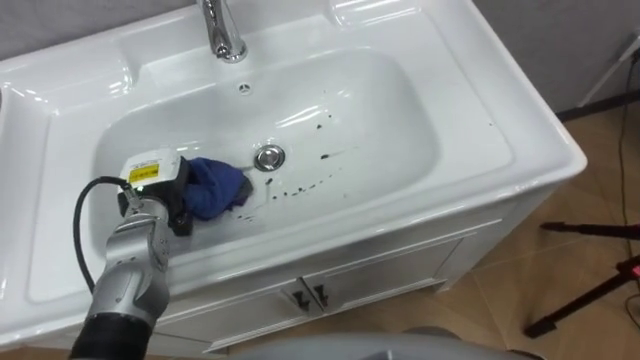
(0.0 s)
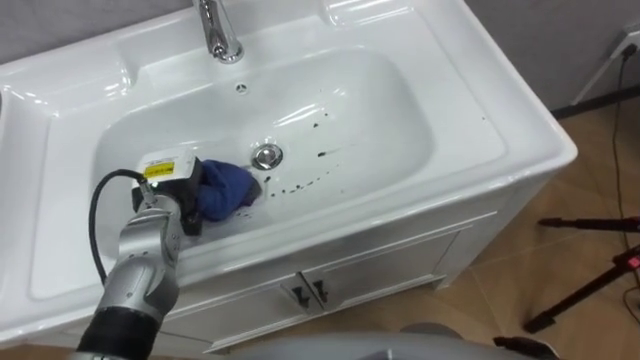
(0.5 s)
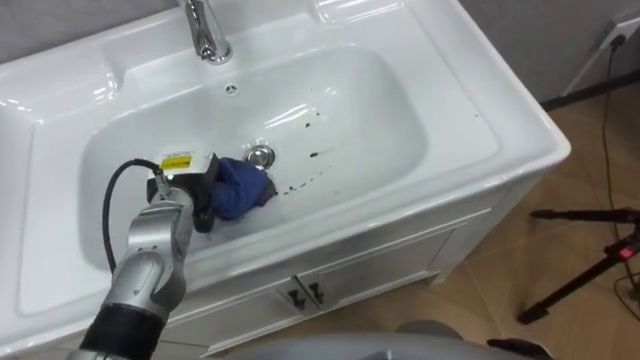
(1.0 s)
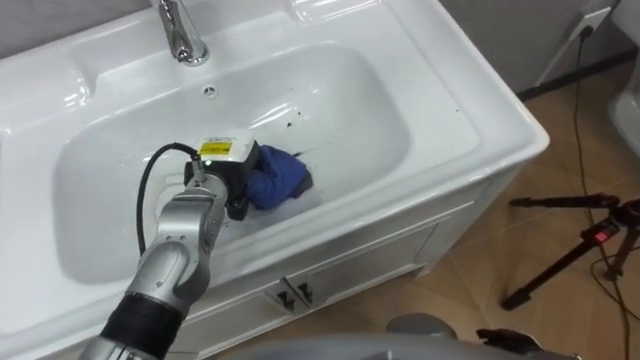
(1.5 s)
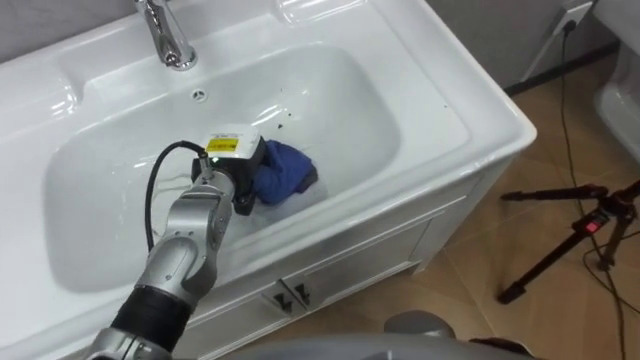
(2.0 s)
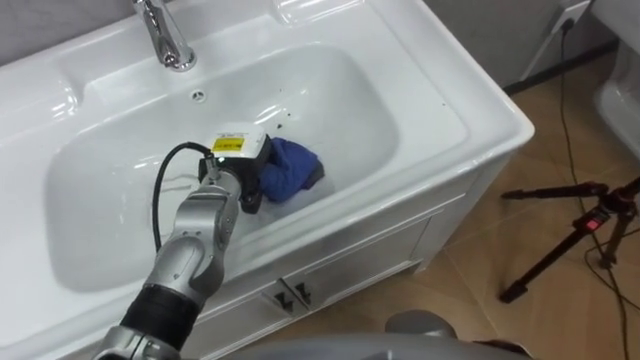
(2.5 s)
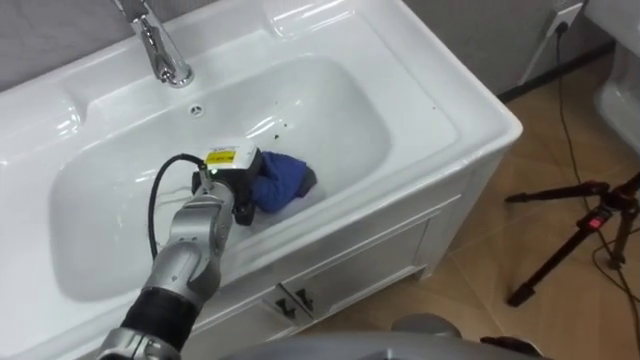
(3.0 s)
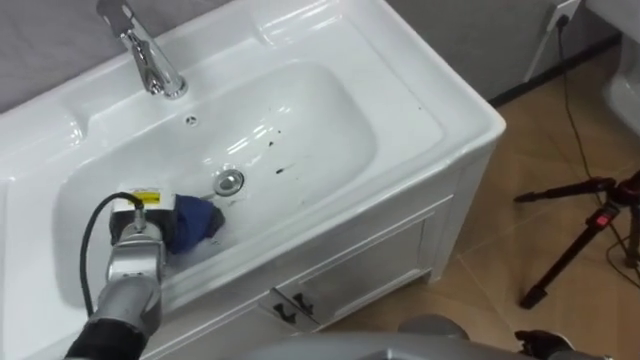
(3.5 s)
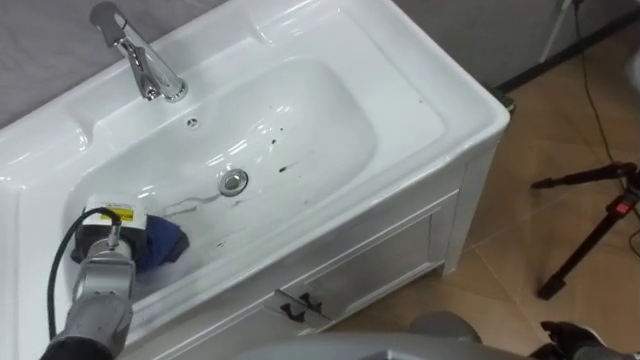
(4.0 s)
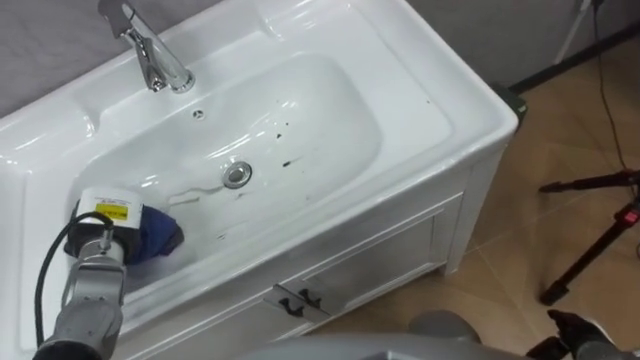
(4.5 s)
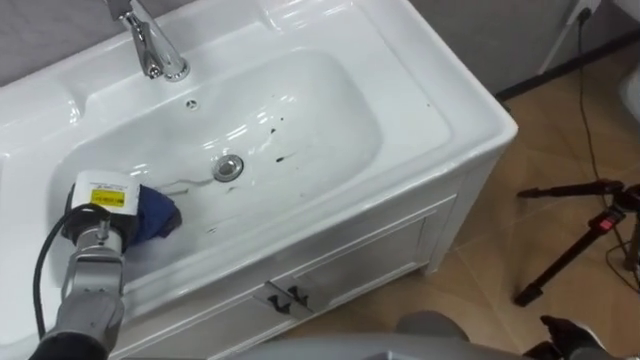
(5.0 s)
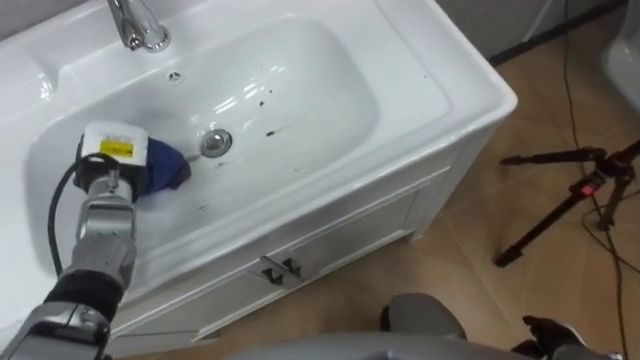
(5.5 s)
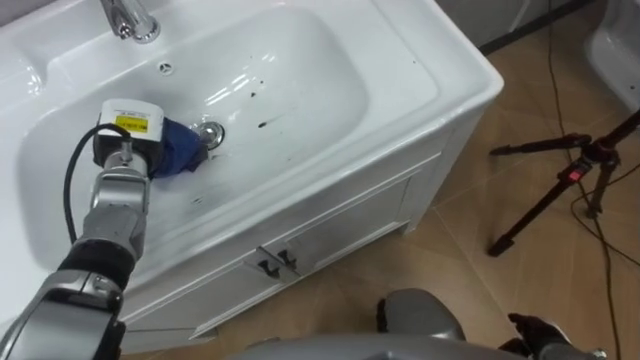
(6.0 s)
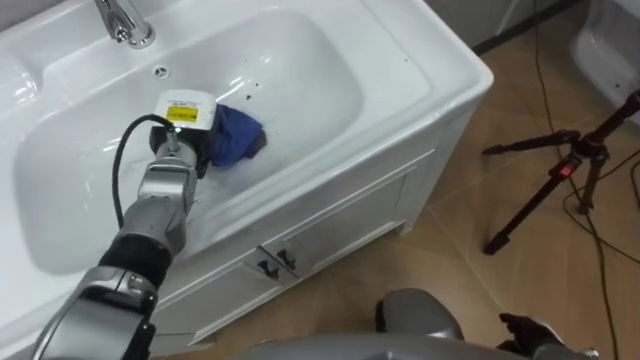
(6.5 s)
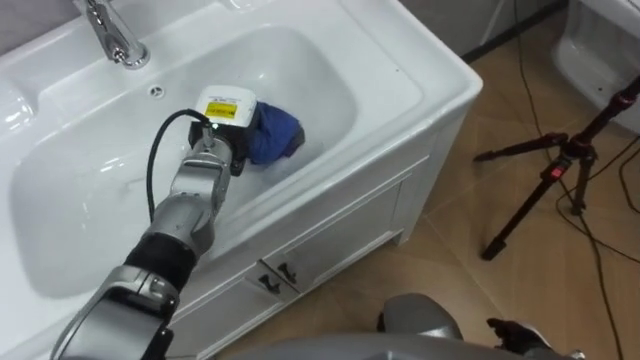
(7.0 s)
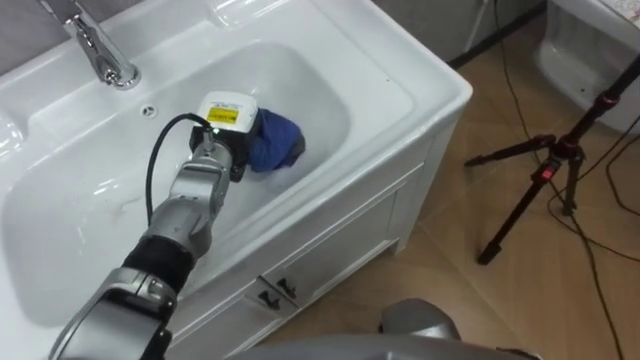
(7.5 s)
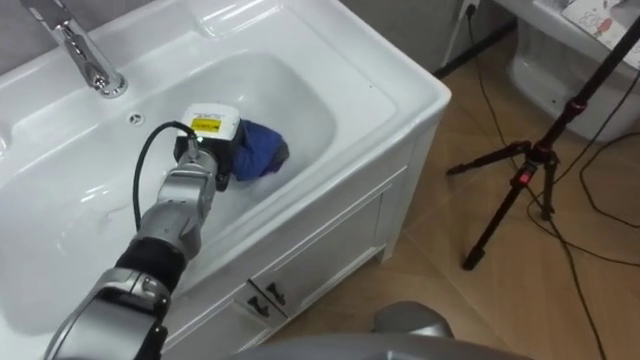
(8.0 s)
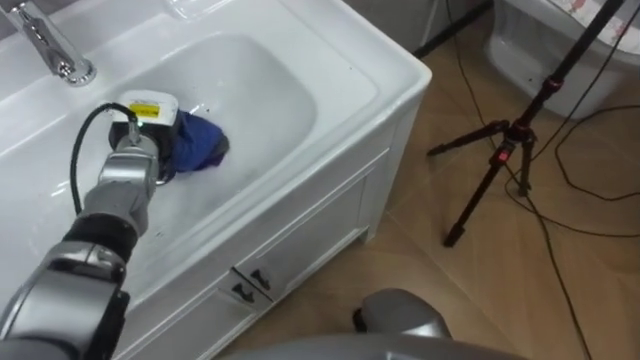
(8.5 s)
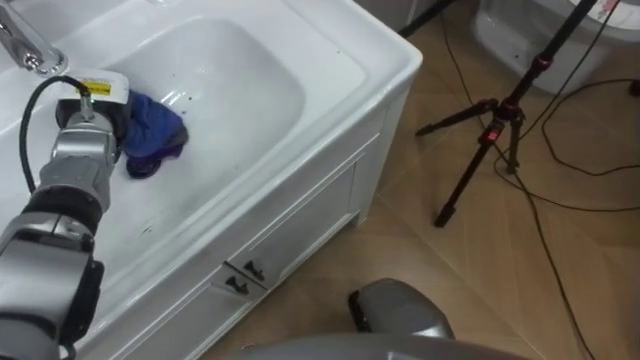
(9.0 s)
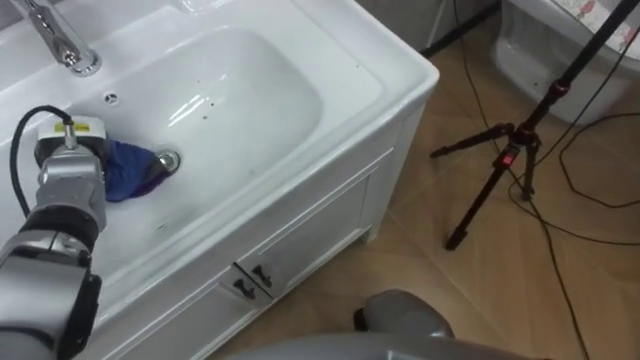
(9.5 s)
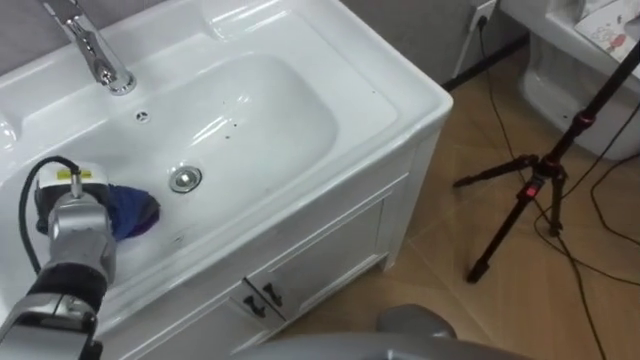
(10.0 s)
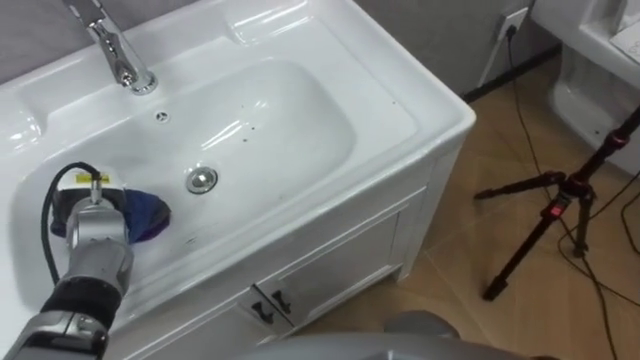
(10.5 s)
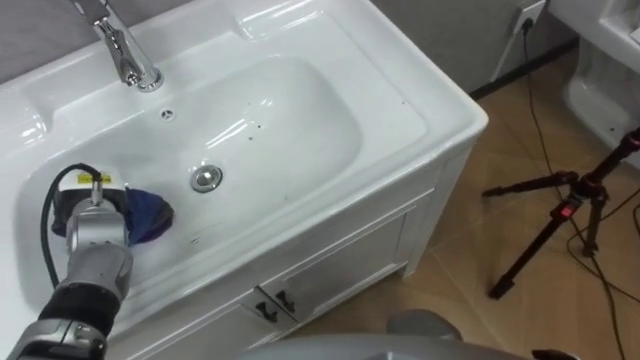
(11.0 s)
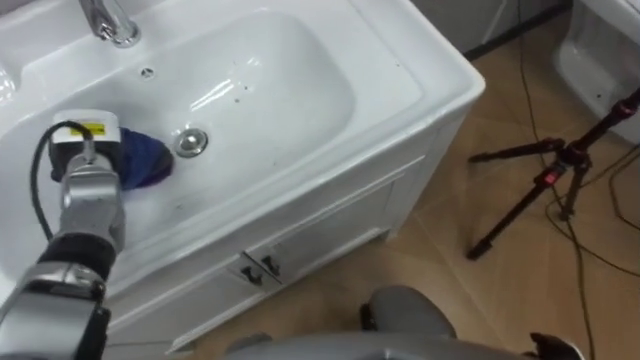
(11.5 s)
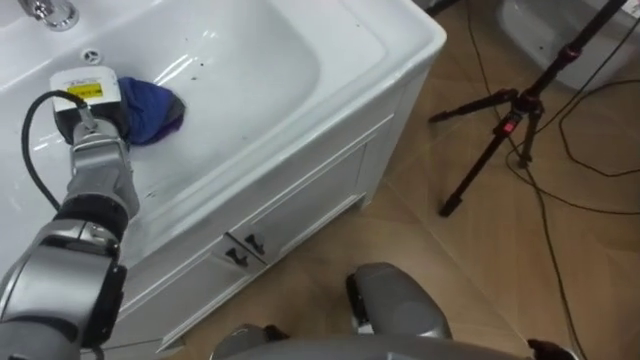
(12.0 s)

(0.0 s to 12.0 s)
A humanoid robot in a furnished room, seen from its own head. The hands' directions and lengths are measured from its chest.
Task of the whole recording: Use the cloth on the right to wipe away the black stain in the sink.
0.0 s - 2.0 s: The left hand shifts some 10 cm to the right.
2.0 s - 4.0 s: The left hand goes some 20 cm to the left and backward.
4.0 s - 6.0 s: The left hand heads forward and upward, covering some 15 cm.
6.0 s - 8.0 s: The left hand shifts roughly 10 cm to the right.
8.0 s - 10.0 s: The left hand travels to the left and backward by approximately 20 cm.
10.0 s - 12.0 s: The left hand travels forward and upward by approximately 10 cm.

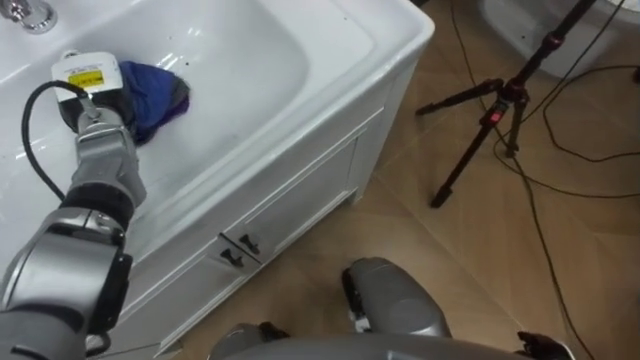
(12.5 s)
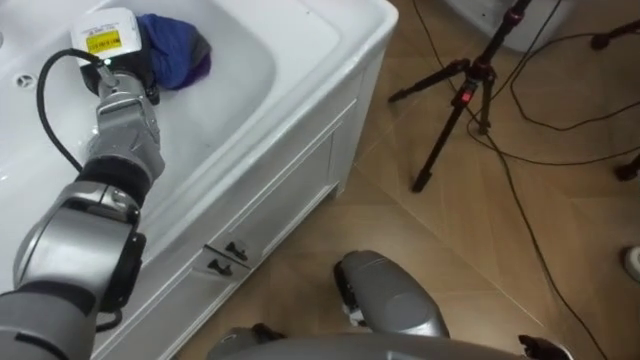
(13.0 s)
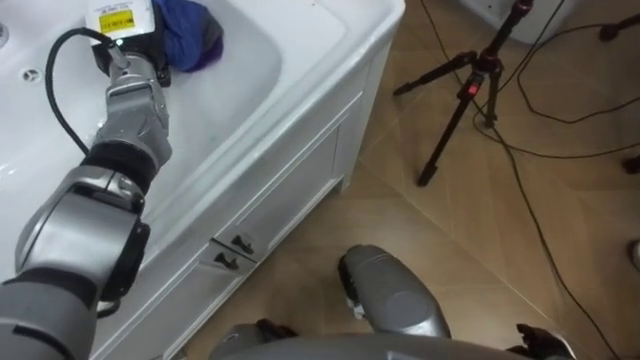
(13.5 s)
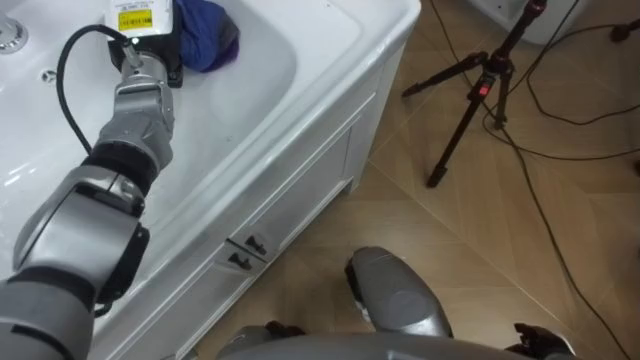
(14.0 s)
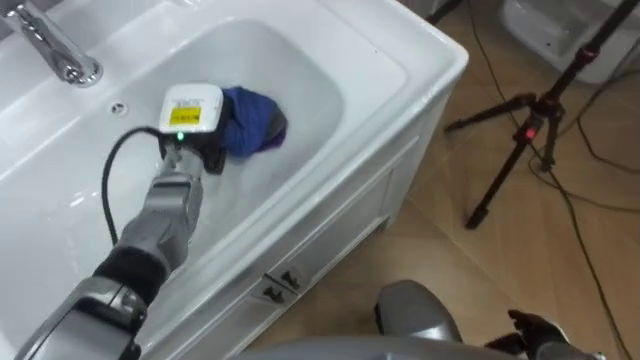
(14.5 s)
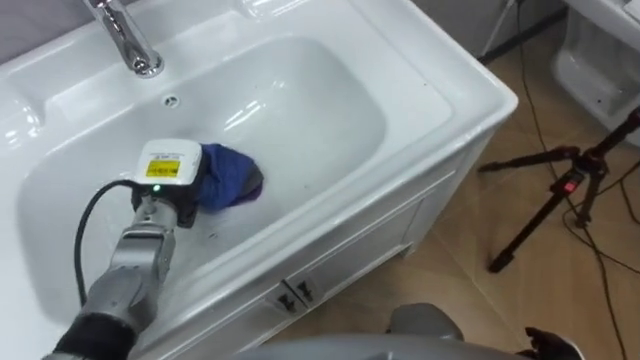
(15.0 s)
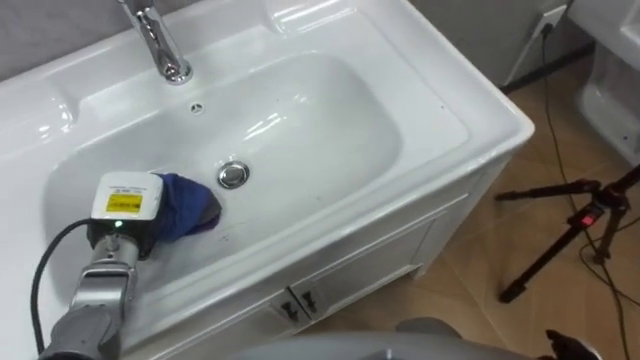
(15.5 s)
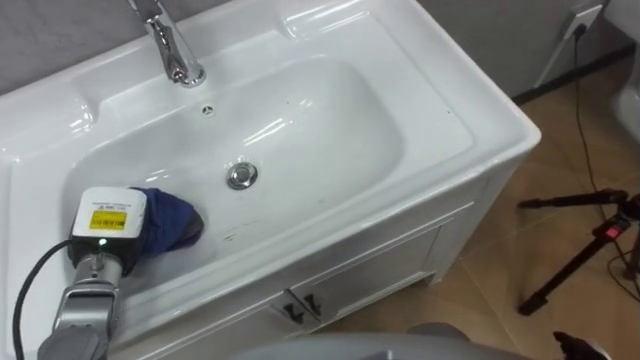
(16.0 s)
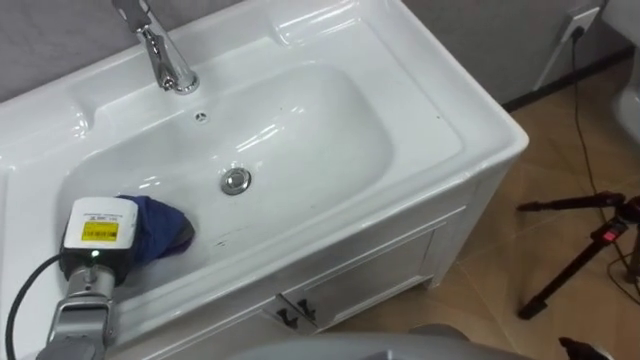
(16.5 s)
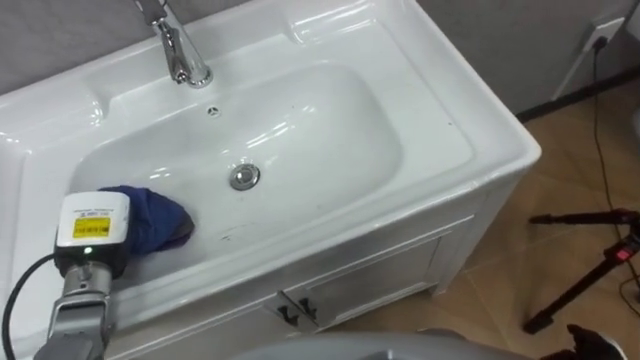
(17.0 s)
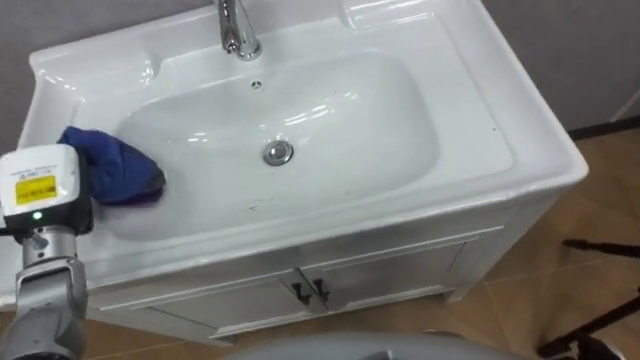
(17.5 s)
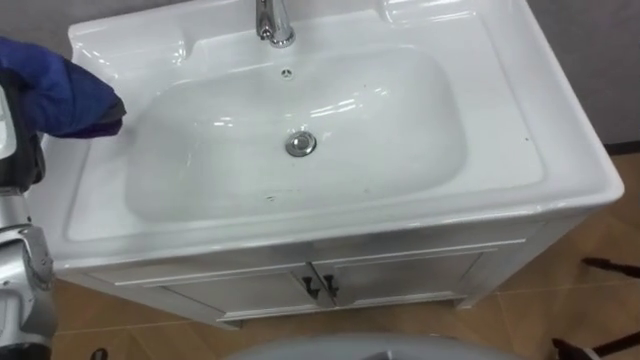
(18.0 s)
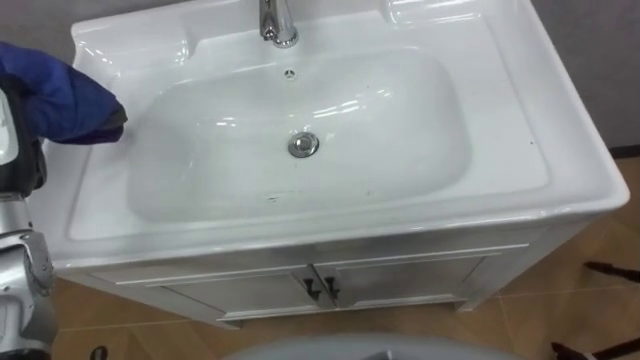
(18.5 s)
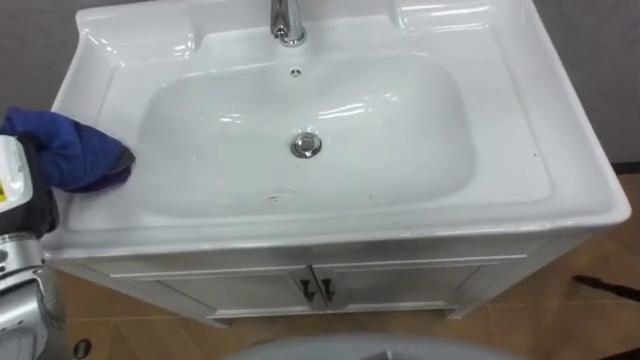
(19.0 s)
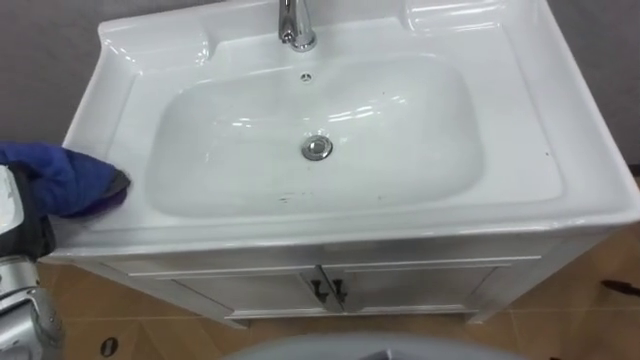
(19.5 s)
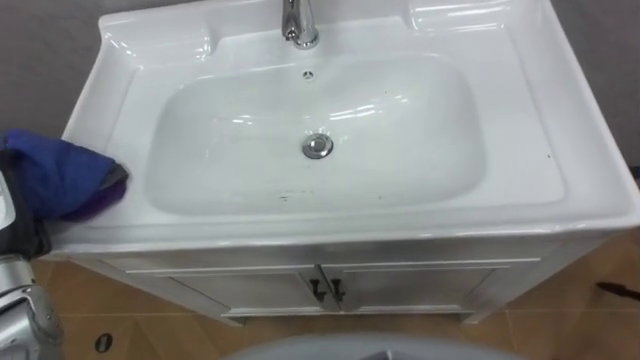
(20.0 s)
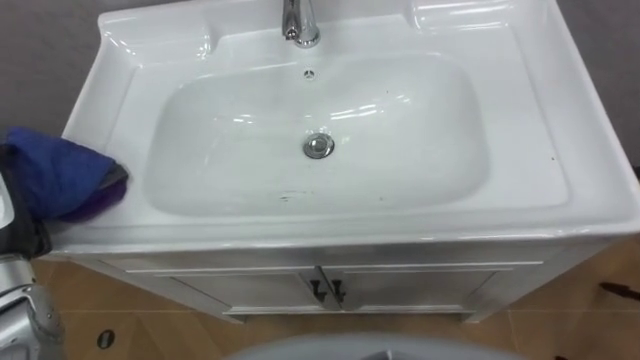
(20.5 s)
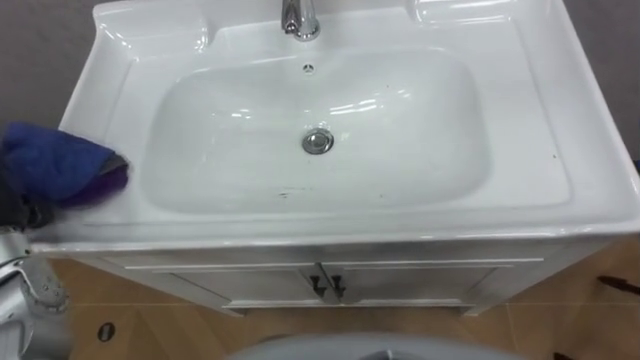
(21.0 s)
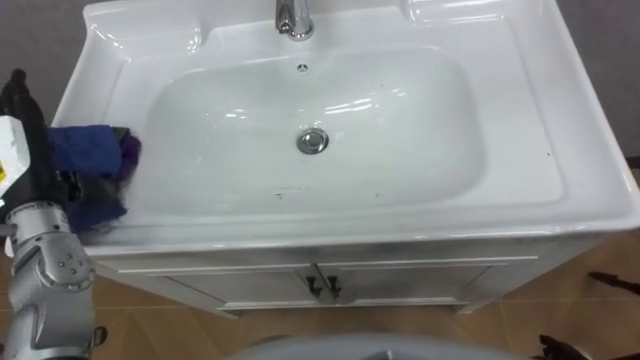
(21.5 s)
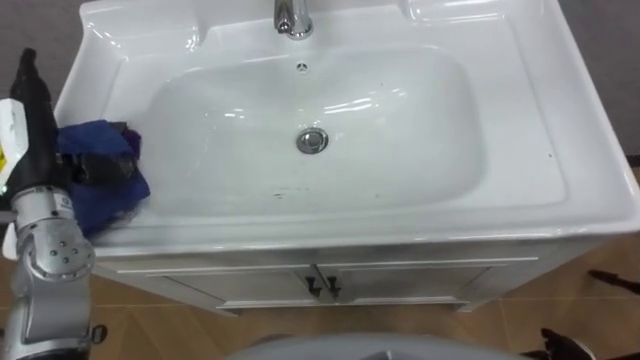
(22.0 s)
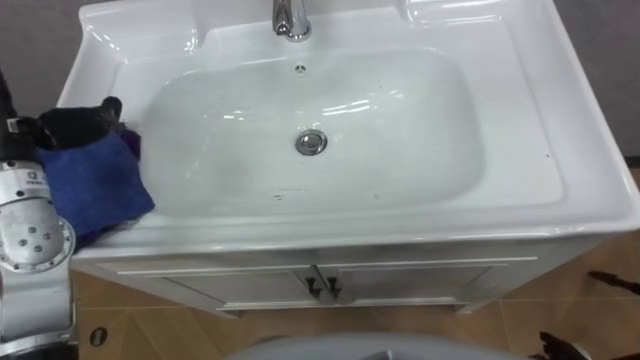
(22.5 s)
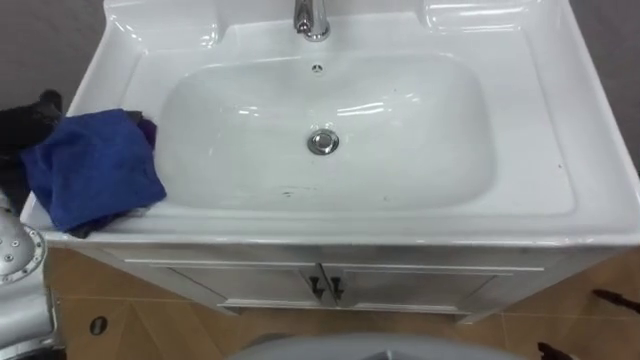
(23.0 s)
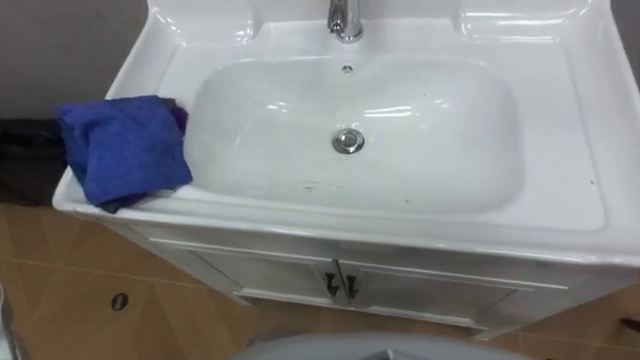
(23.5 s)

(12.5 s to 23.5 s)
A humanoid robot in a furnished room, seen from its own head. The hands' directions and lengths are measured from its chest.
Task of the whole recording: Use the cloth on the right to wipe away the black stain in the sink.
12.5 s - 14.5 s: The left hand is displaced to the right by about 10 cm.
14.5 s - 16.0 s: The left hand heads backward and to the left, covering roughly 20 cm.
